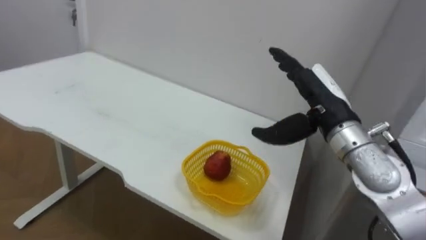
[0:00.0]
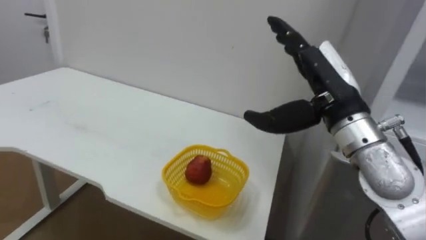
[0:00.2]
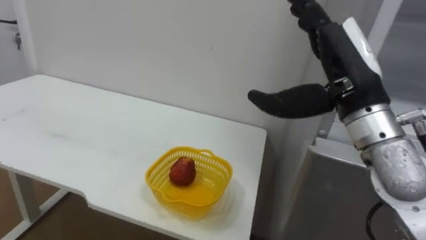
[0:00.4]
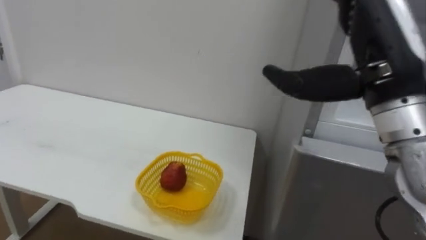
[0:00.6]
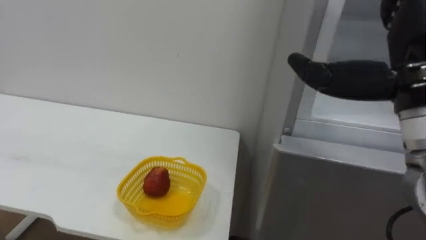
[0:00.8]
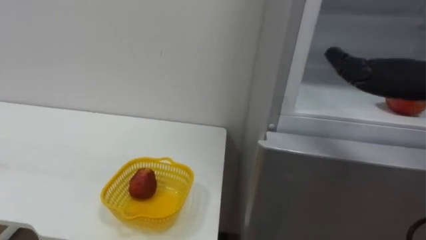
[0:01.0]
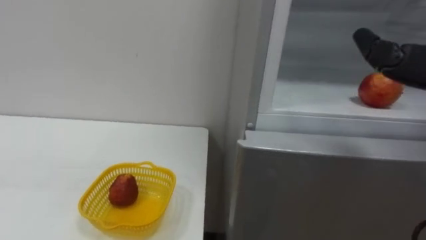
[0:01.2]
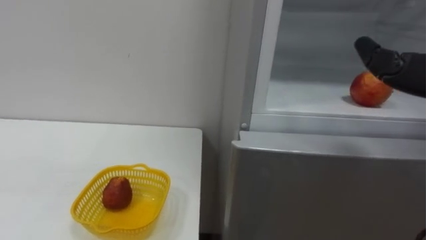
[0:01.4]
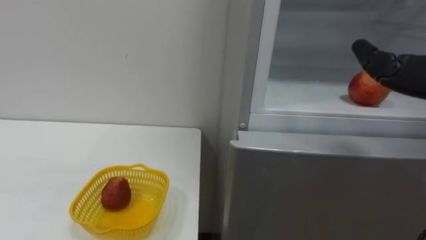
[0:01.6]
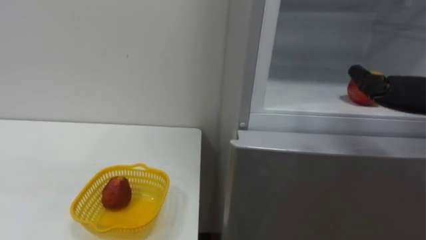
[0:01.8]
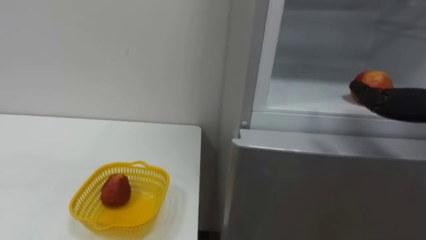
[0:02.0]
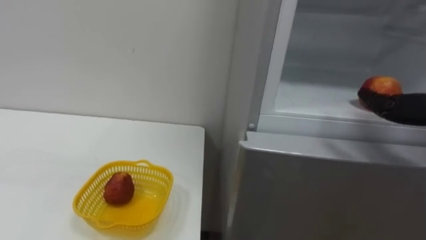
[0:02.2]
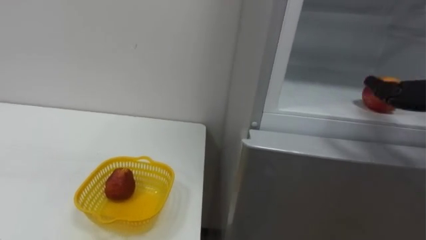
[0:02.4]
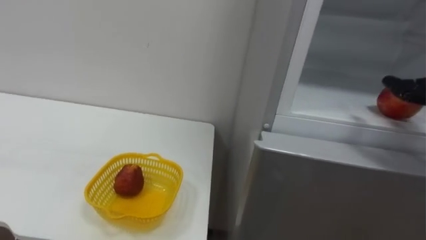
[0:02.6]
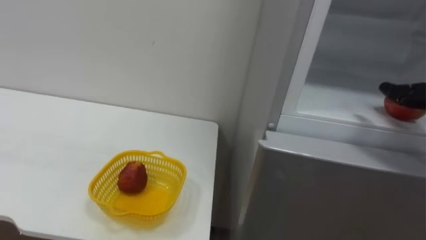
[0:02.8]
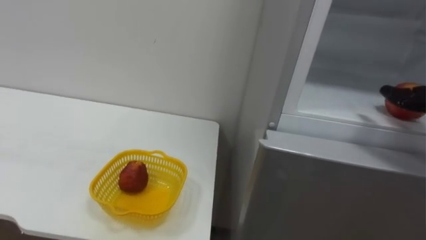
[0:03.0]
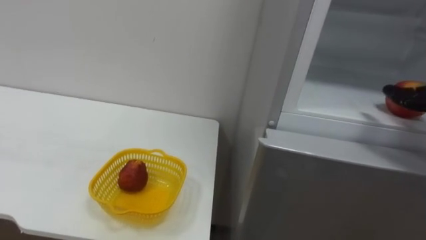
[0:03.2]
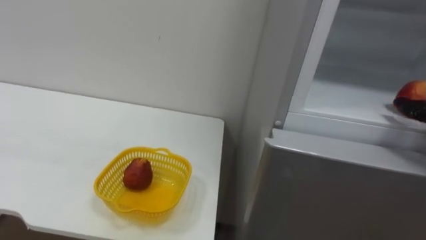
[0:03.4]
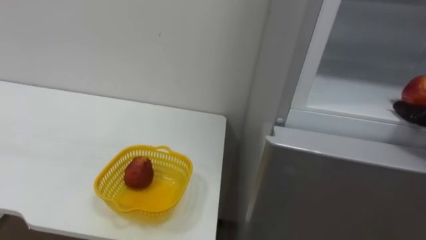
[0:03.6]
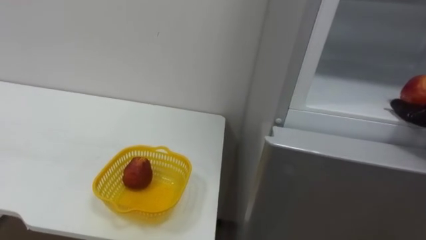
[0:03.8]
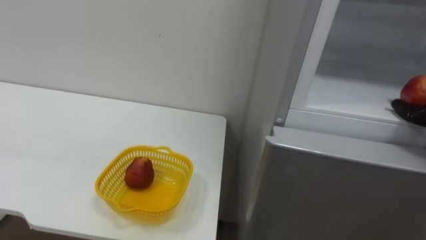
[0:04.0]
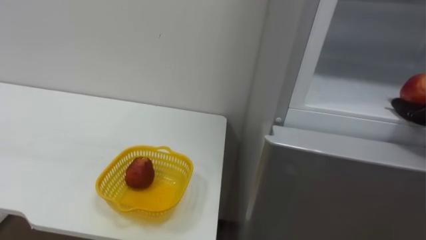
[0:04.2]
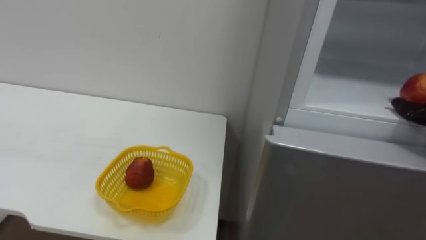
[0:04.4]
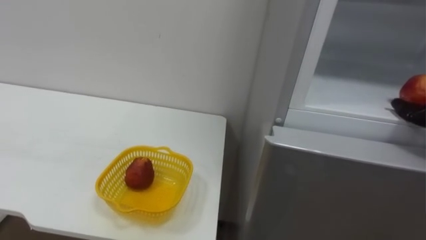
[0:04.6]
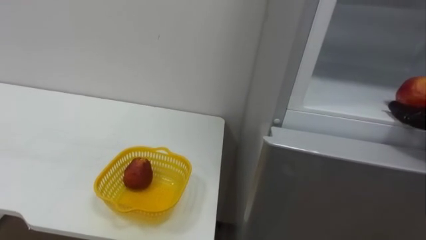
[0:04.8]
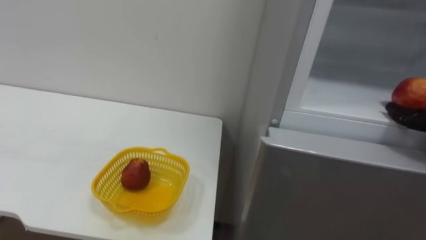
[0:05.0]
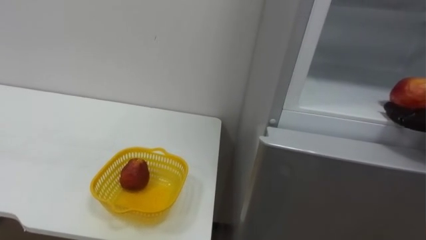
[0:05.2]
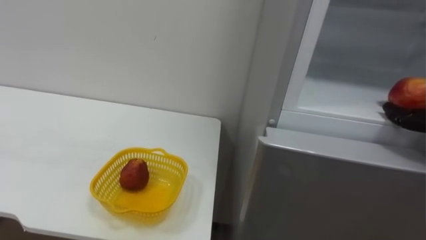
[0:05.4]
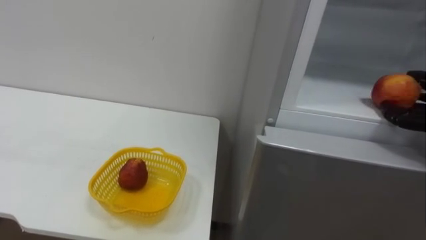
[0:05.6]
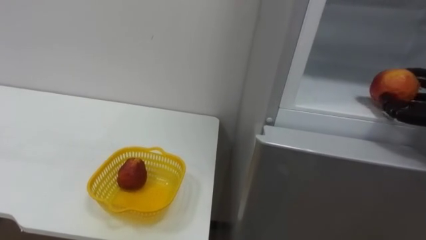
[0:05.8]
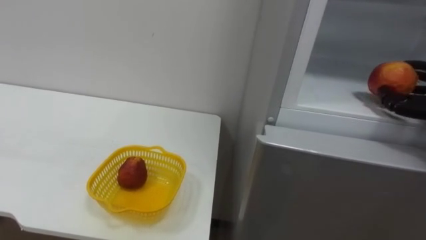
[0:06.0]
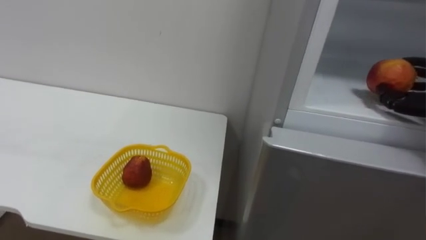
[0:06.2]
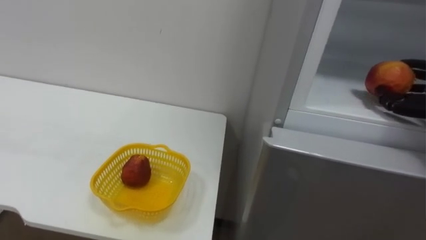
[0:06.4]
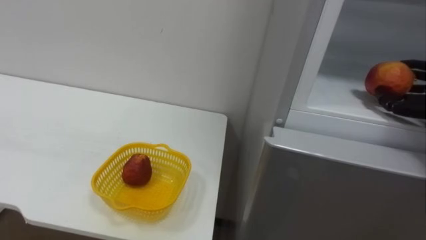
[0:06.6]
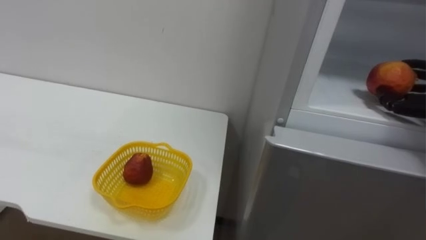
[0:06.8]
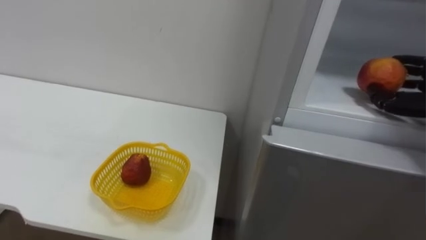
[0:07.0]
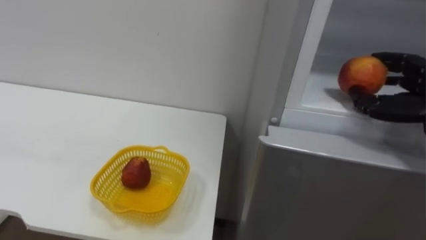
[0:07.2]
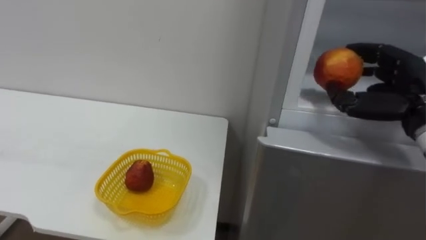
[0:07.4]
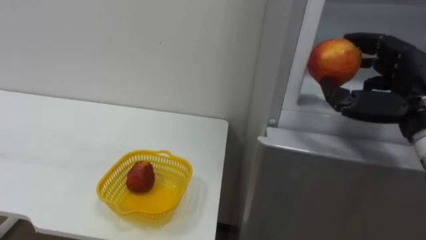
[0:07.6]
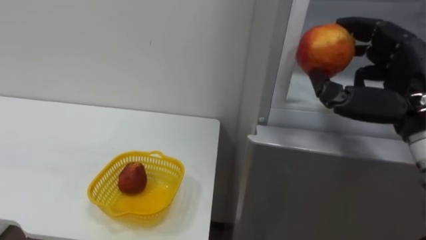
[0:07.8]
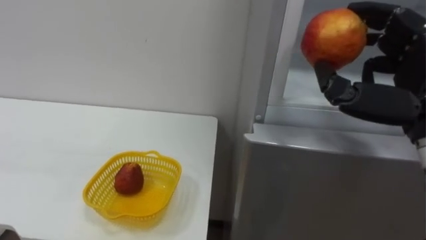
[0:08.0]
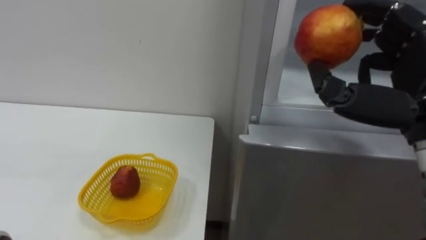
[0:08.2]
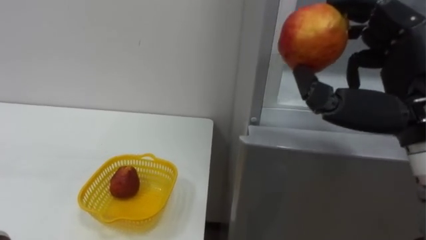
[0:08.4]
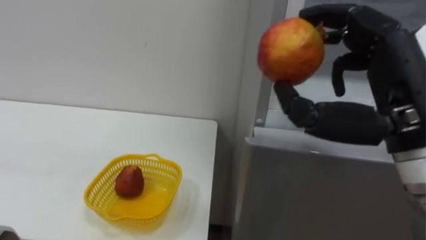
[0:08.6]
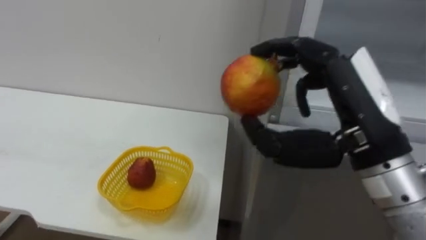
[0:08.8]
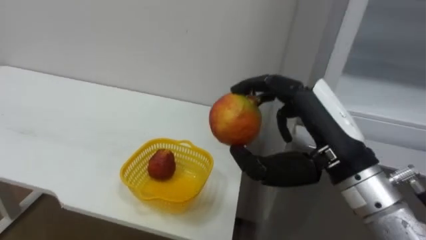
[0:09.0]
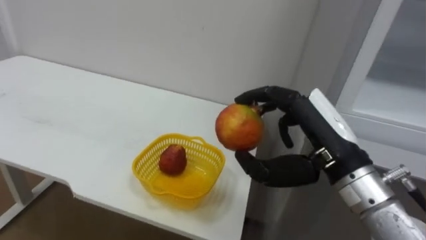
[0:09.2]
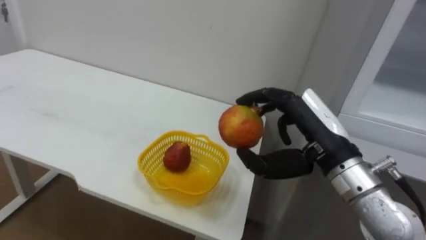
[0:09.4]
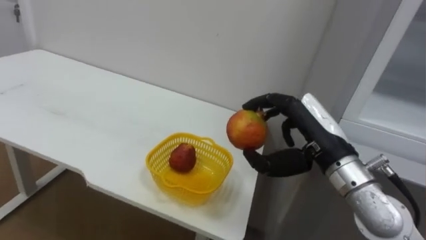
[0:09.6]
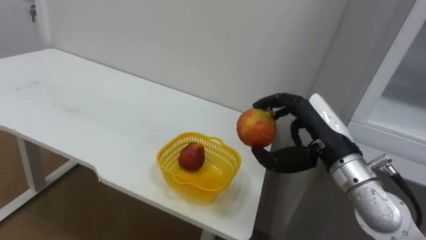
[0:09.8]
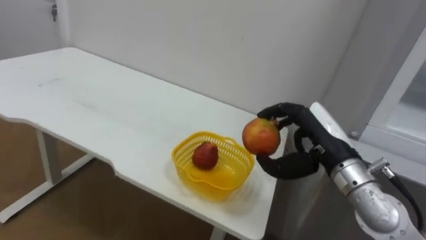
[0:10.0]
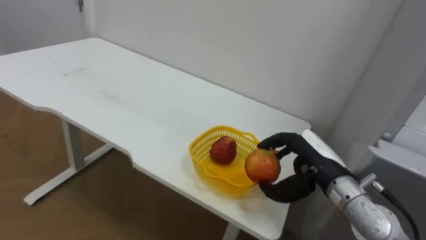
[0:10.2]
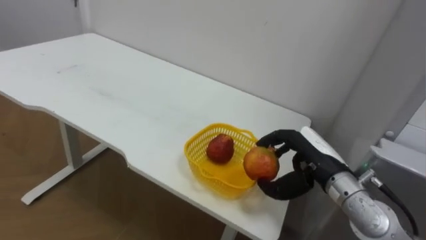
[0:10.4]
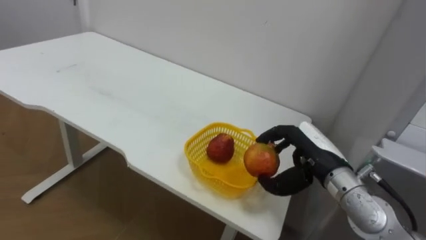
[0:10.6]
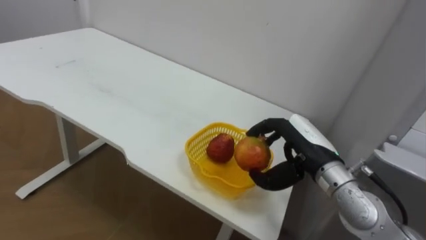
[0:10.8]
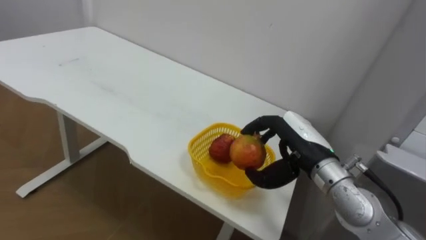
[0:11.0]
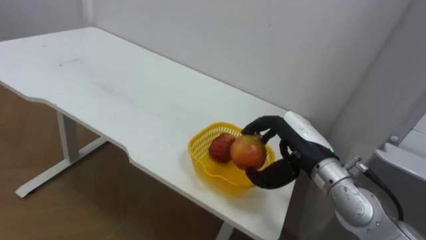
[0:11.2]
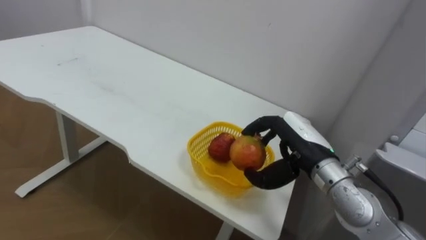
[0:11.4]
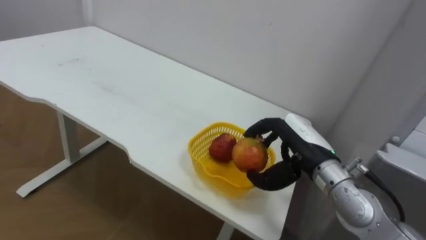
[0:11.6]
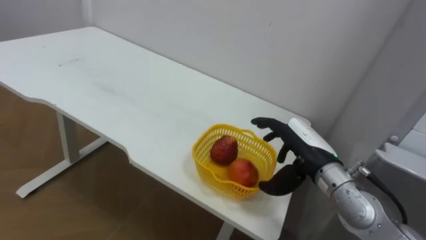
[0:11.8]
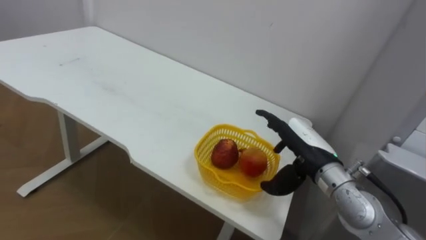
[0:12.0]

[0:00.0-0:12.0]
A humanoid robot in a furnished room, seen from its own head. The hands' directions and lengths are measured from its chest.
Task of the whole recording: Open the refrigerator door, take out the apple and the pomegranate, place them in the fruit basket on the left, and close the refrigerator door.
0:07.6 to 0:09.0: The right hand moves to the left and backward, roughly 15 cm.
0:09.0 to 0:10.4: The right hand moves downward and forward, approximately 15 cm.
0:10.4 to 0:12.0: The right hand opens up.

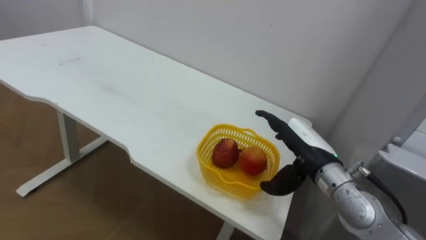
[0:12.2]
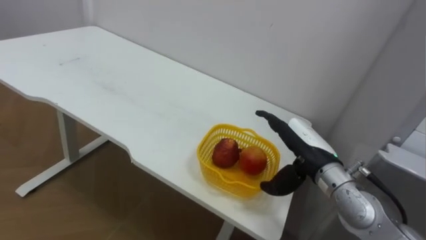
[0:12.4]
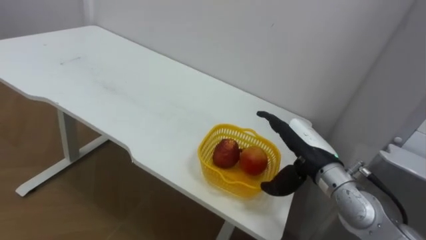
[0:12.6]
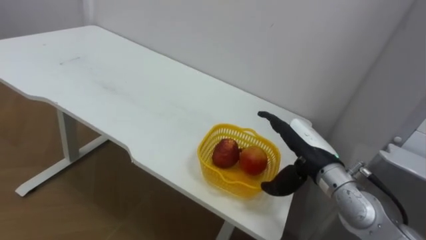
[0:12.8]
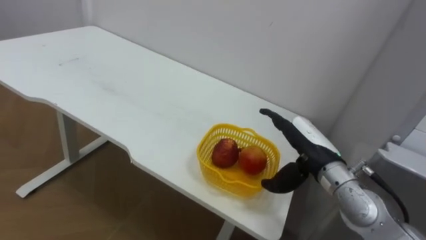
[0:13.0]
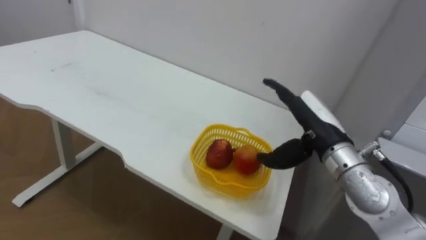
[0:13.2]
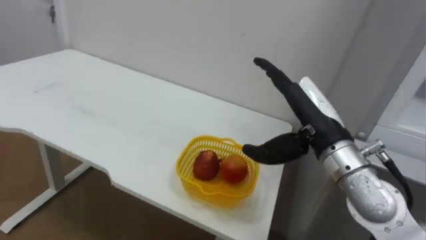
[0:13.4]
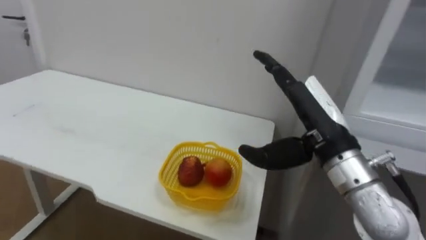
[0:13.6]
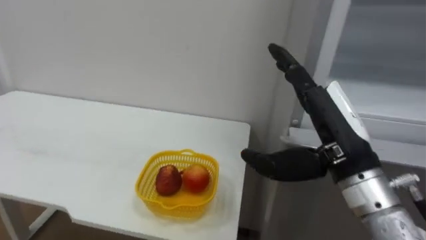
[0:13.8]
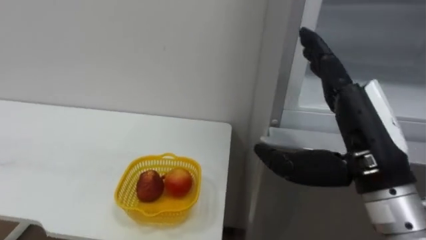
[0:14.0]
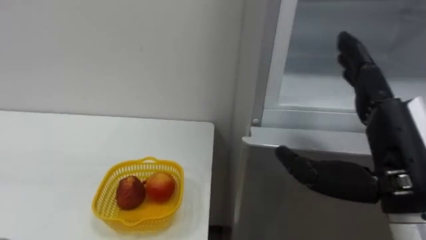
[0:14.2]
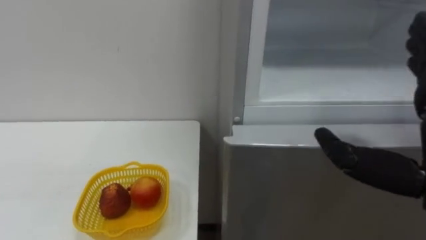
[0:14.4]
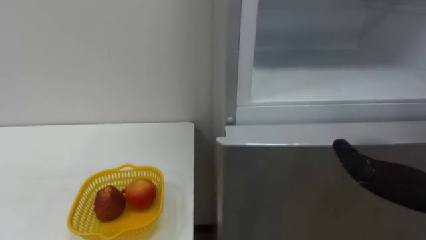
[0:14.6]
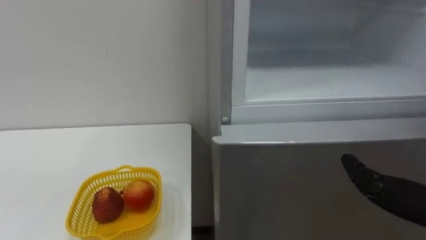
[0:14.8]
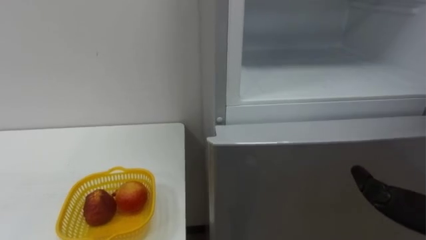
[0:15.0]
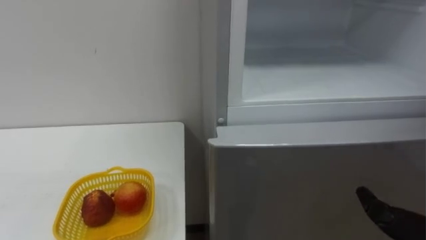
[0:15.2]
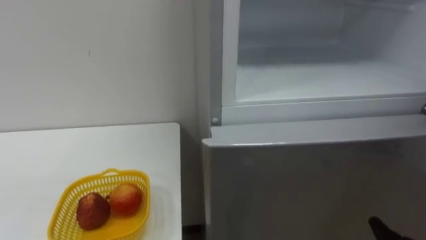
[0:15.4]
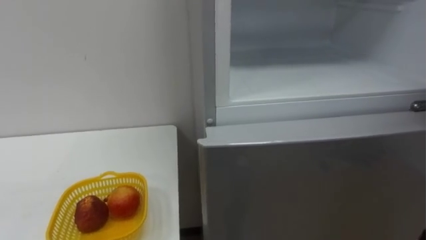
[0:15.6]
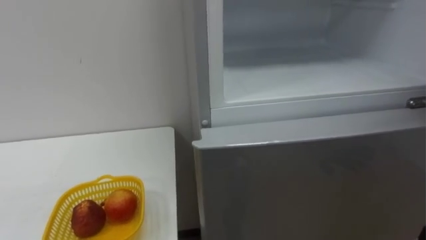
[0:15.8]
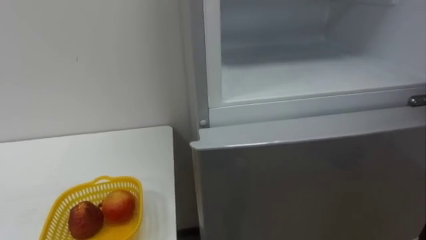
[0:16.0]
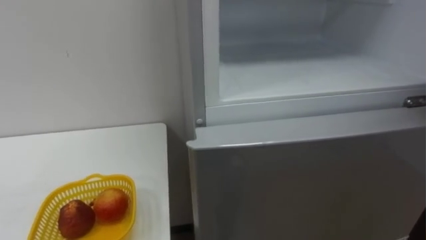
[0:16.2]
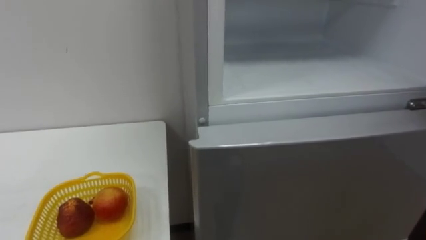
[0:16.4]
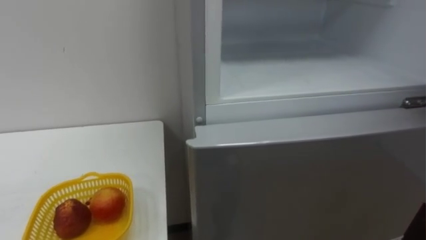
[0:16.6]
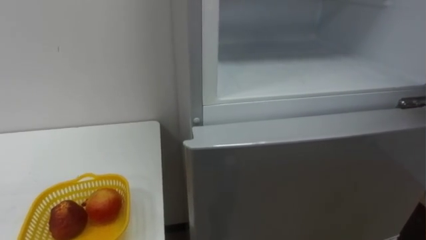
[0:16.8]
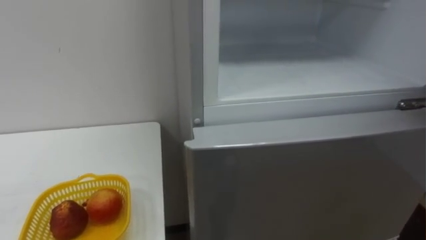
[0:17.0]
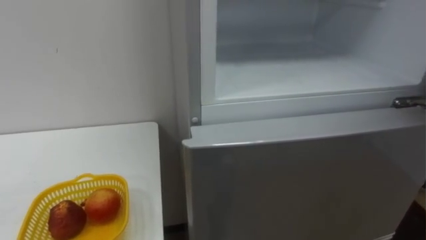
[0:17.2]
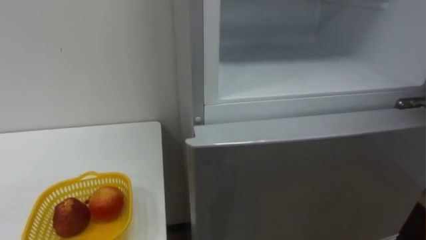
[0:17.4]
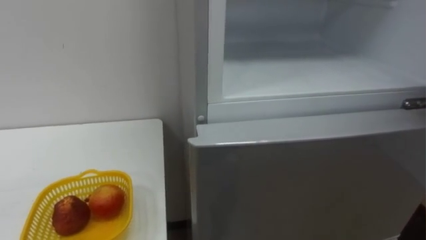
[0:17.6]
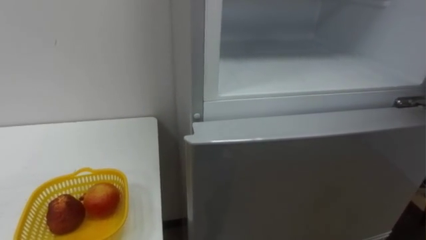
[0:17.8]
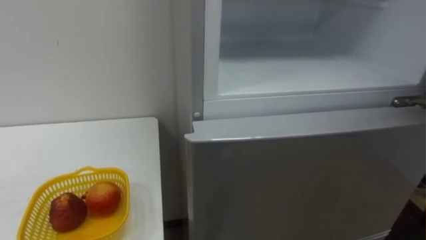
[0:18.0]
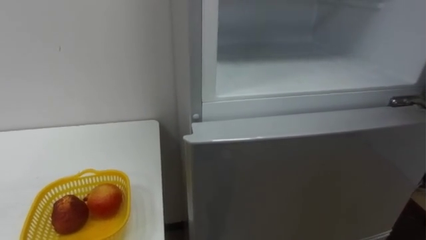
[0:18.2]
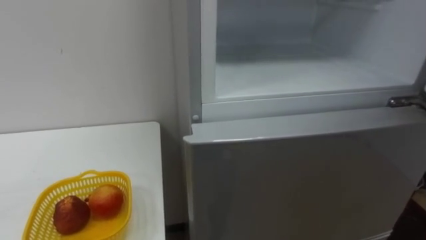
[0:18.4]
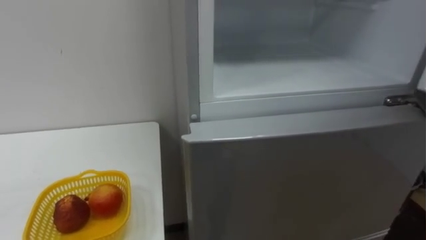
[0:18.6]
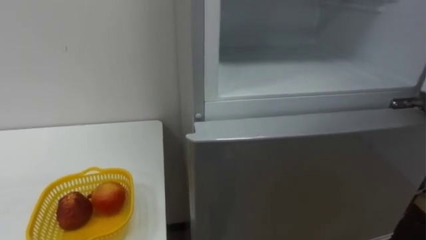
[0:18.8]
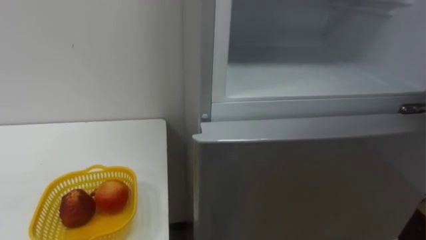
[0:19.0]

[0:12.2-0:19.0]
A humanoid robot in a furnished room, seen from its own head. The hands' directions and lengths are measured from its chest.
Task of the whole recording: Open the refrigerator door, take out the apple and the pomegranate, place them in the fruit basket on the left, and close the refrigerator door.
0:12.2 to 0:13.6: The right hand heads upward and backward, covering about 10 cm.
